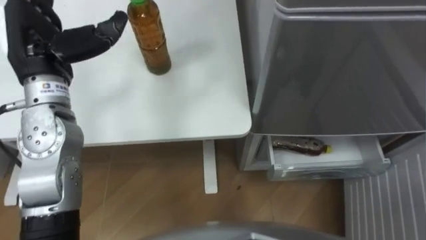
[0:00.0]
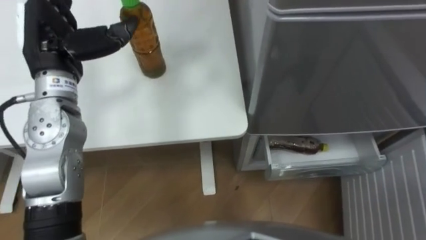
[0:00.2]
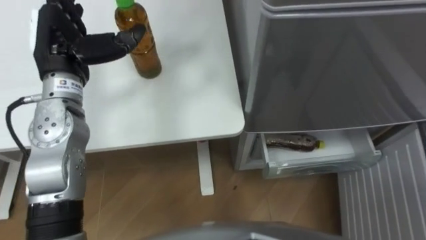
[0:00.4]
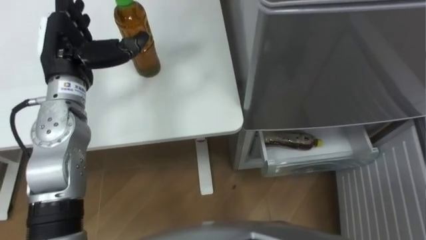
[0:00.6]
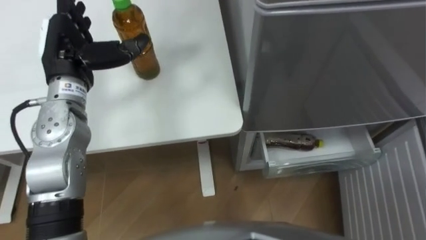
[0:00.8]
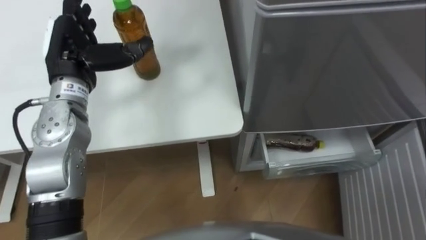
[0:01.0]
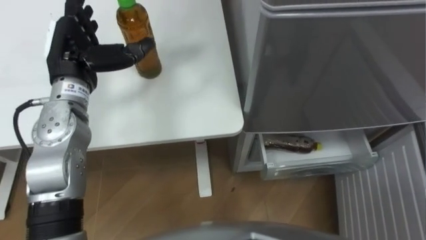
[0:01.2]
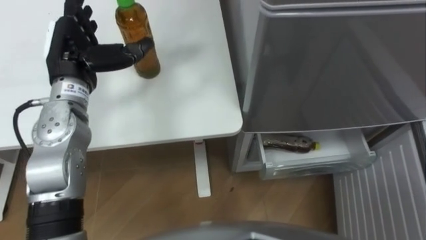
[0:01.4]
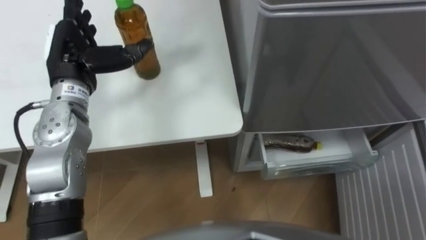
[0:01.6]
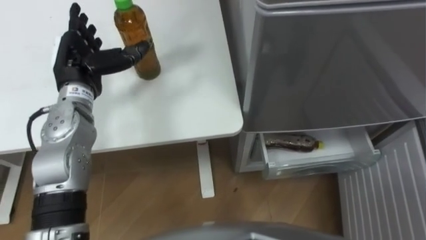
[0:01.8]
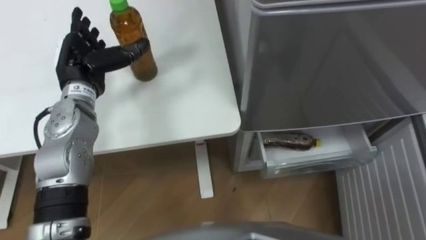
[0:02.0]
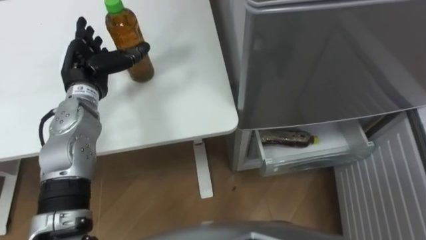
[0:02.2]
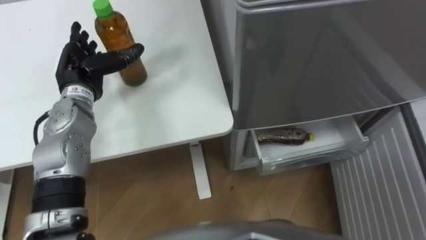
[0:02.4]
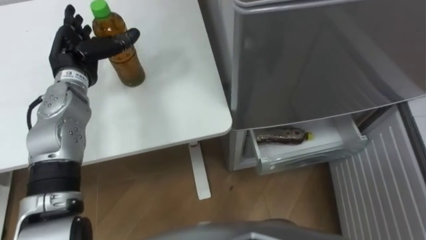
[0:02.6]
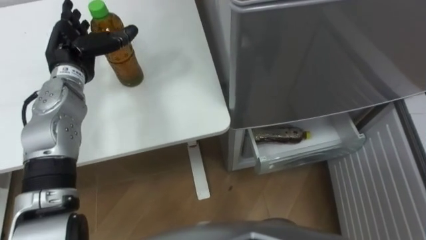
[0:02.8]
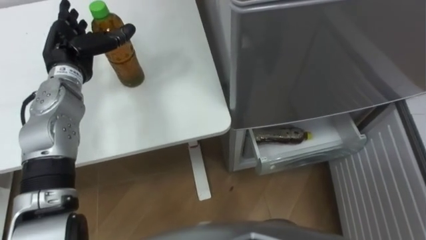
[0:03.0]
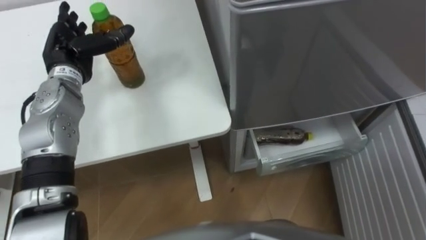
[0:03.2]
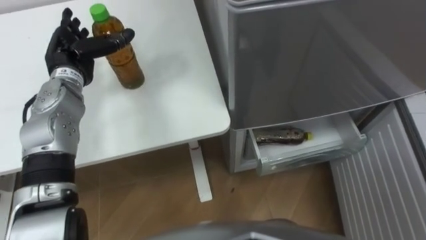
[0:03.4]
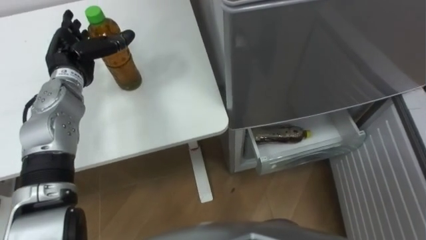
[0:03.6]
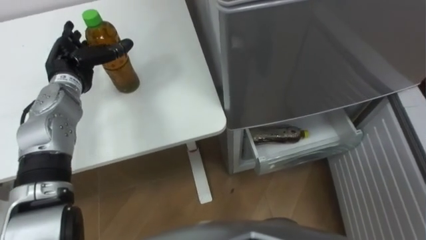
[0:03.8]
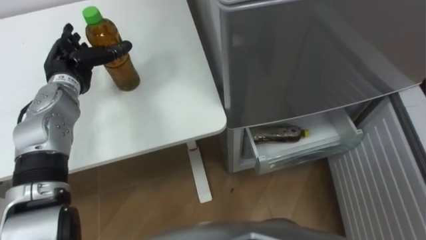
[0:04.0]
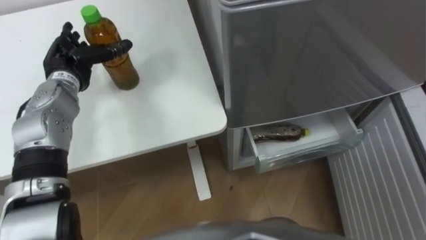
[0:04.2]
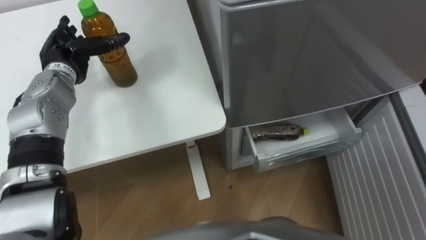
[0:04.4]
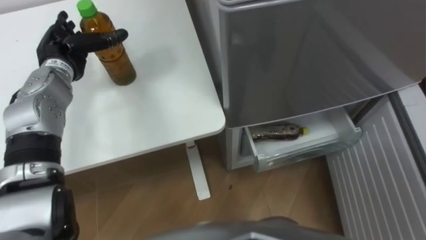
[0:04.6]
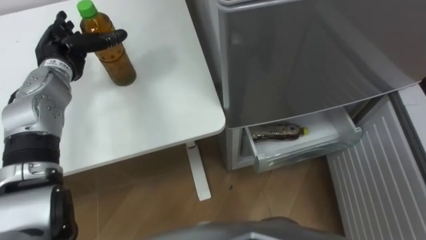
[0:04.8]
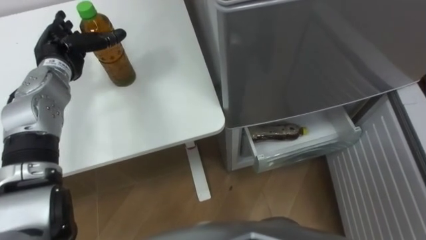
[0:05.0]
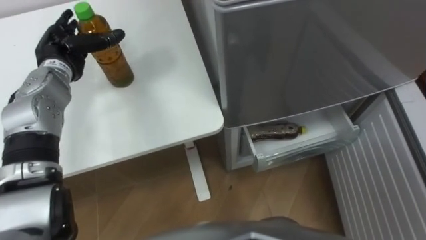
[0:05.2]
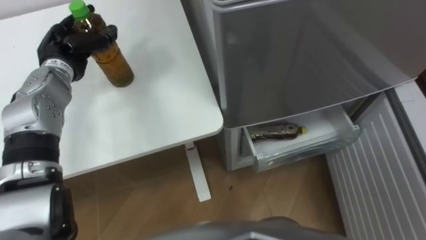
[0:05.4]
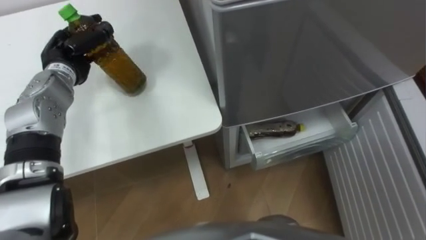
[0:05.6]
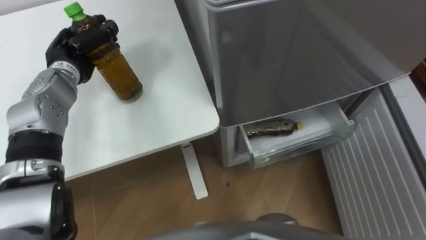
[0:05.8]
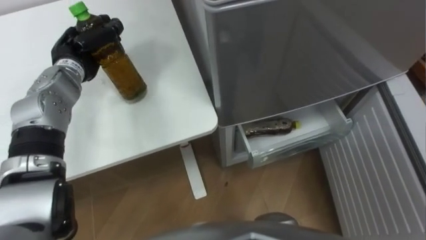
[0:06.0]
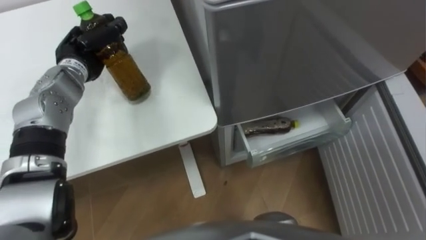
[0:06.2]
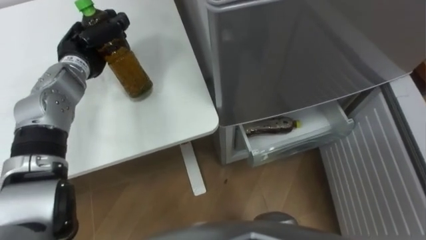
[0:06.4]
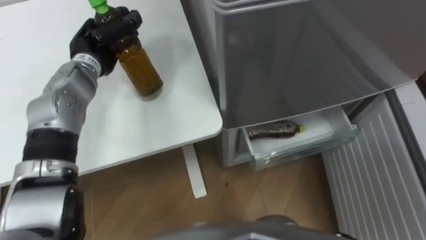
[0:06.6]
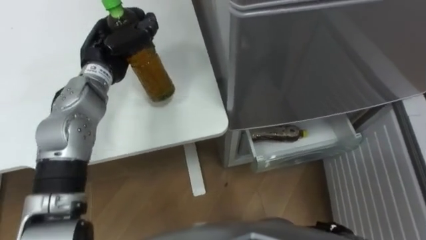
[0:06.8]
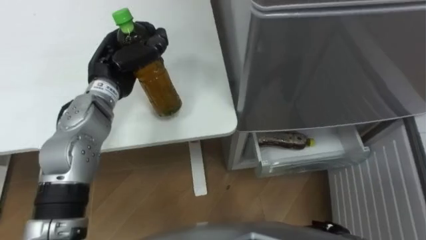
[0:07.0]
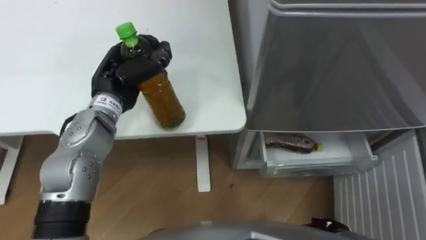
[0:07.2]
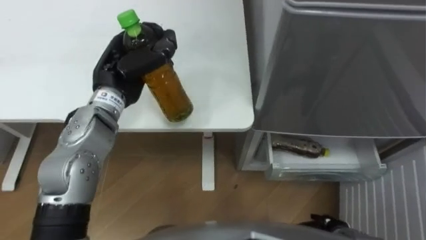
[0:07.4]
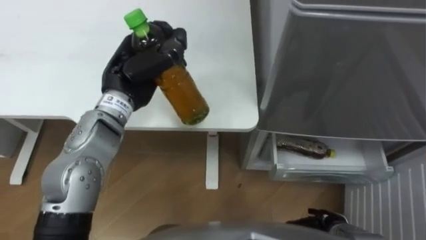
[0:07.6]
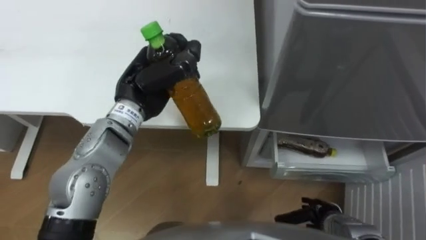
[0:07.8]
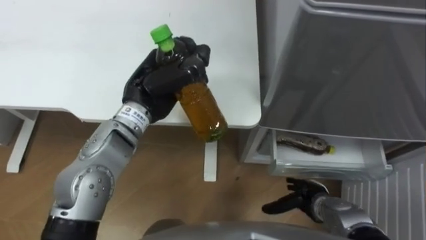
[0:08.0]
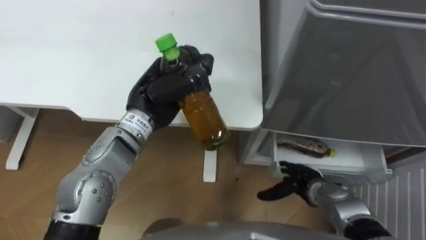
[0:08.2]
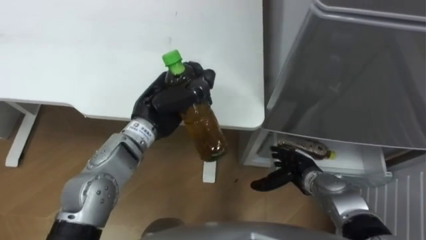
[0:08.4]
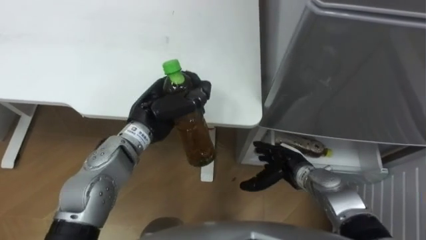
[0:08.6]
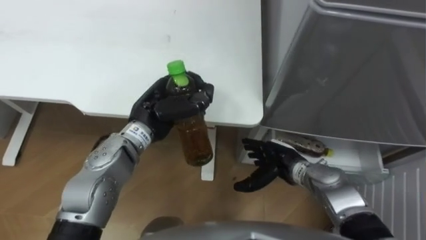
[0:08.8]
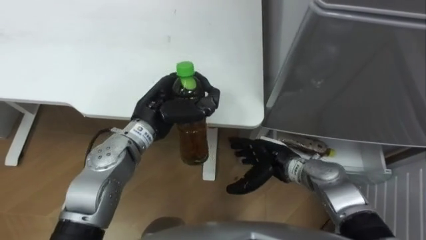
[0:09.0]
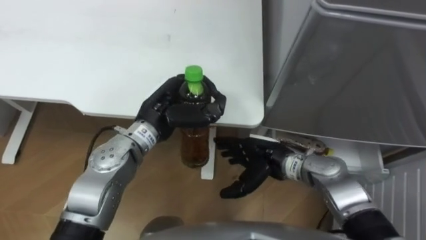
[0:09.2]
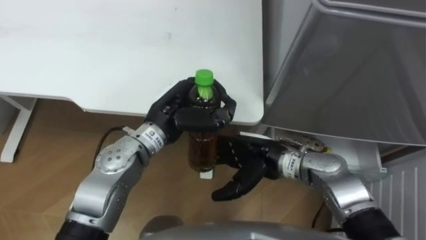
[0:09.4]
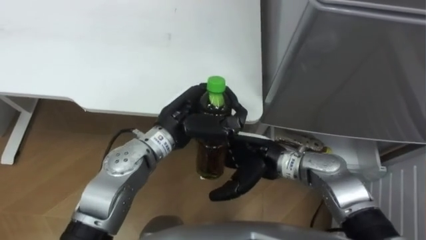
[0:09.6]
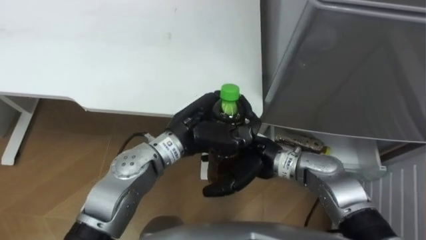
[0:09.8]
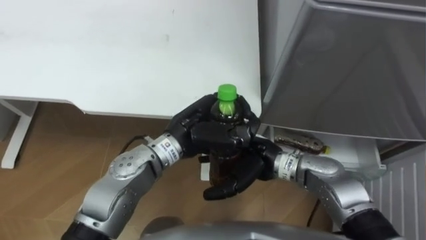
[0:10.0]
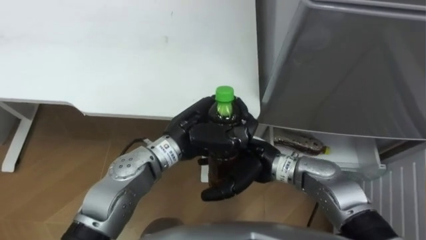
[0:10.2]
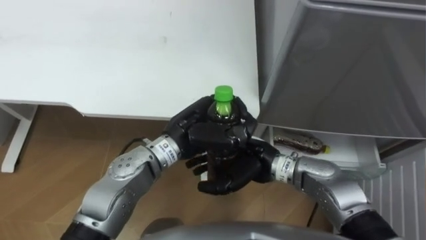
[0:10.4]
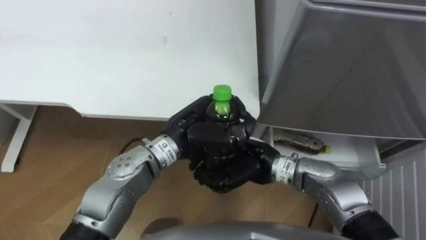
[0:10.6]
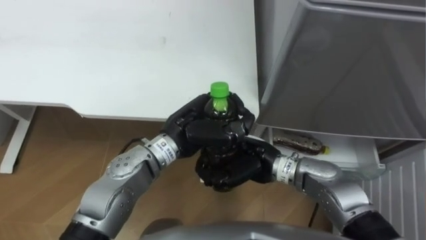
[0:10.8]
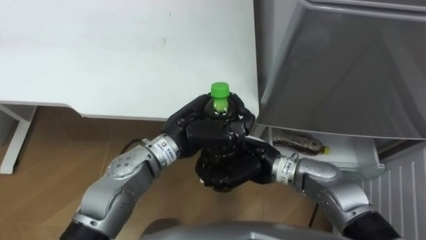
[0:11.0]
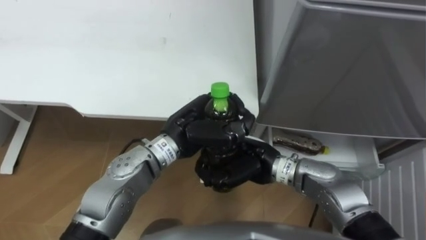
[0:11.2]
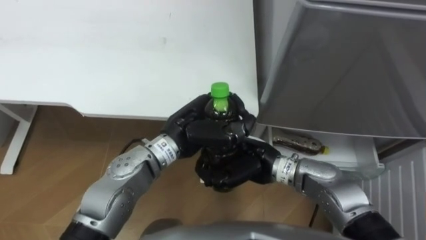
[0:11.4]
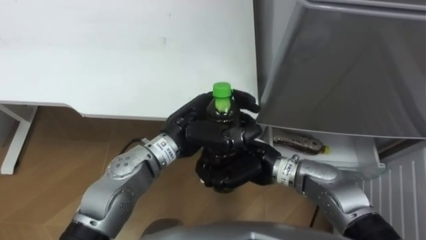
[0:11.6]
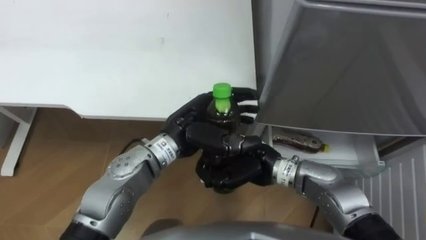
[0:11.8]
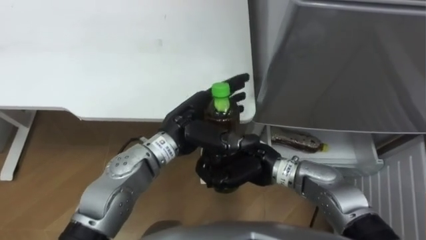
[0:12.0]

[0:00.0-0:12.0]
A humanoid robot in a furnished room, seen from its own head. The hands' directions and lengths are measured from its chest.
Task of the whole recording: Place the drink on the table on the bottom shelf of the refrigerator, then close the drawer and the refrigerator door.
0:00.0 to 0:01.6: The left hand heads downward, covering roughly 5 cm.
0:01.6 to 0:03.0: The left hand shifts by about 5 cm.
0:04.4 to 0:06.0: The left hand closes up.
0:06.0 to 0:07.6: The left hand travels to the right, backward and upward by approximately 15 cm.
0:07.6 to 0:09.0: The left hand heads downward, covering some 5 cm, while the right hand shifts some 20 cm forward, to the left and upward.
0:09.0 to 0:10.4: The right hand travels to the left and upward by approximately 10 cm, while the left hand travels to the right by roughly 5 cm.
0:10.4 to 0:12.0: The left hand opens up. Meanwhile the right hand closes up.

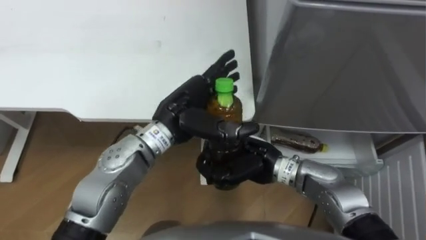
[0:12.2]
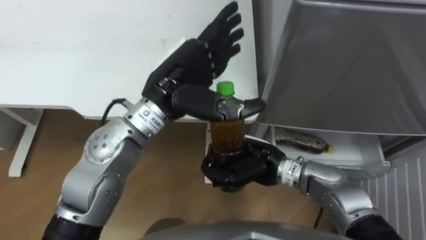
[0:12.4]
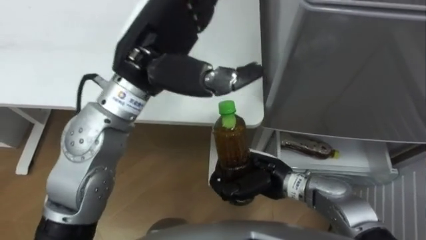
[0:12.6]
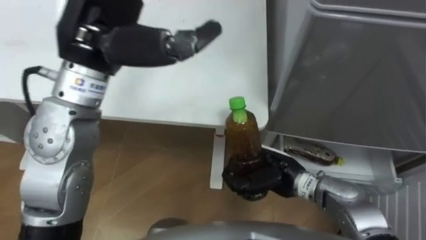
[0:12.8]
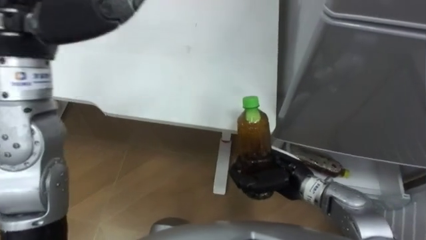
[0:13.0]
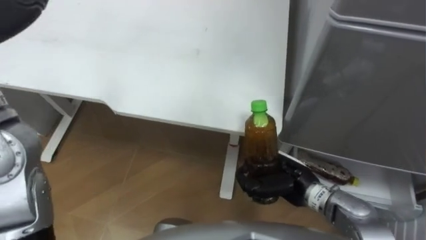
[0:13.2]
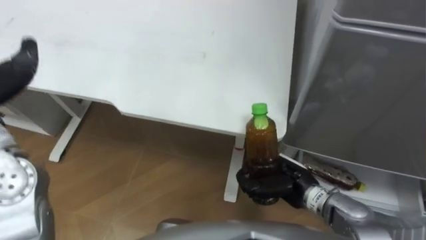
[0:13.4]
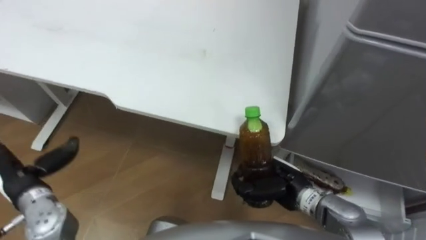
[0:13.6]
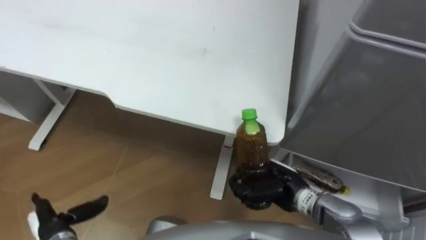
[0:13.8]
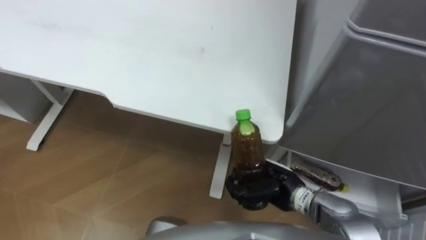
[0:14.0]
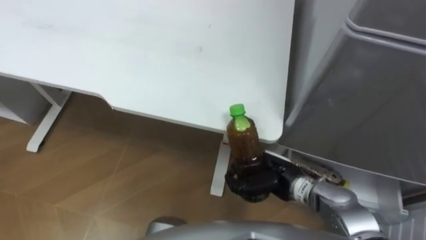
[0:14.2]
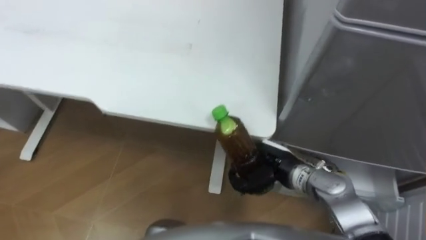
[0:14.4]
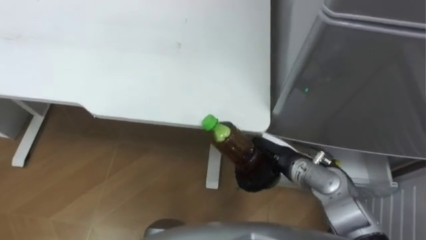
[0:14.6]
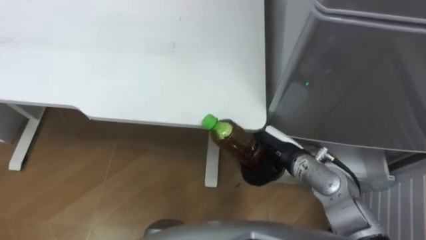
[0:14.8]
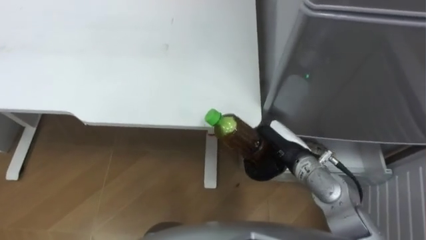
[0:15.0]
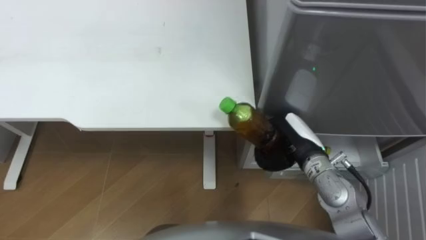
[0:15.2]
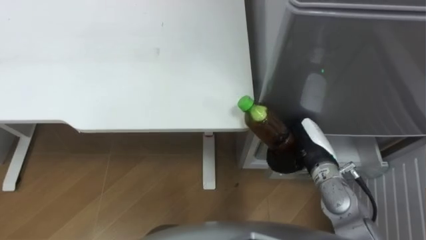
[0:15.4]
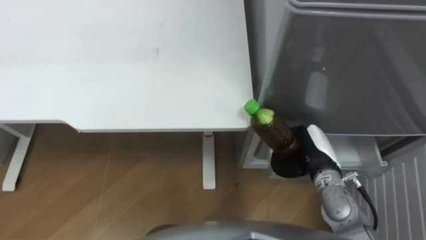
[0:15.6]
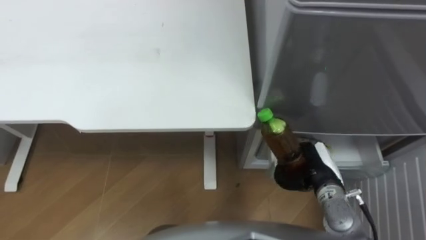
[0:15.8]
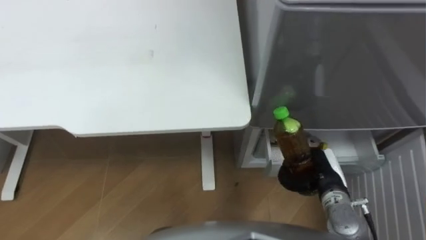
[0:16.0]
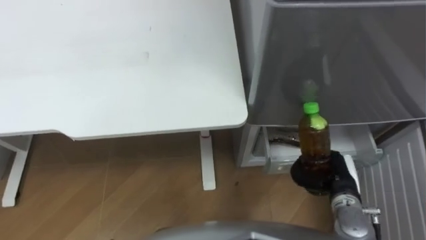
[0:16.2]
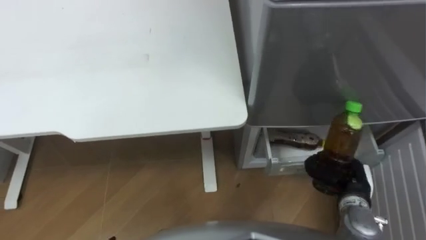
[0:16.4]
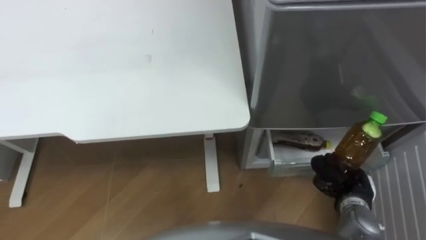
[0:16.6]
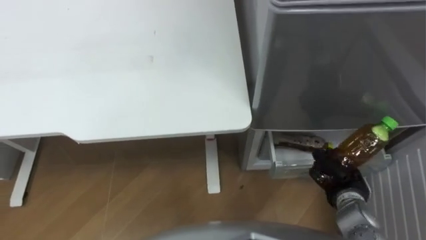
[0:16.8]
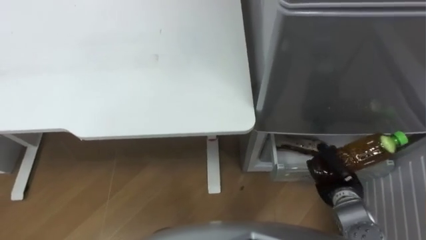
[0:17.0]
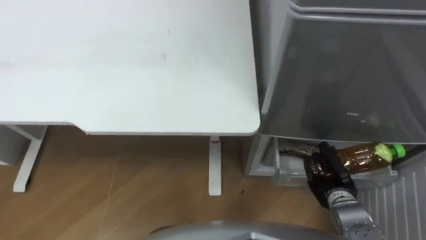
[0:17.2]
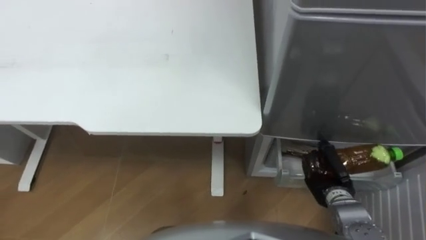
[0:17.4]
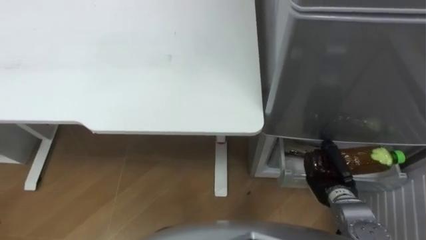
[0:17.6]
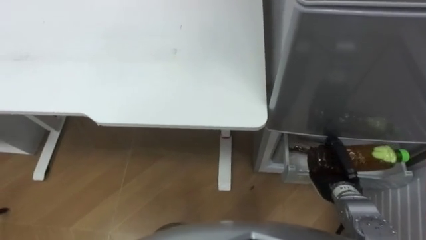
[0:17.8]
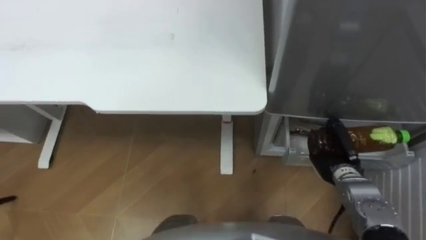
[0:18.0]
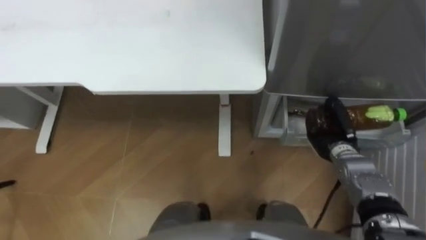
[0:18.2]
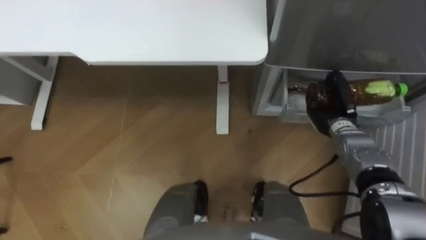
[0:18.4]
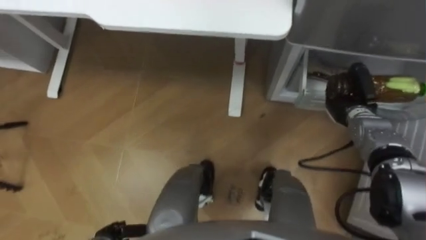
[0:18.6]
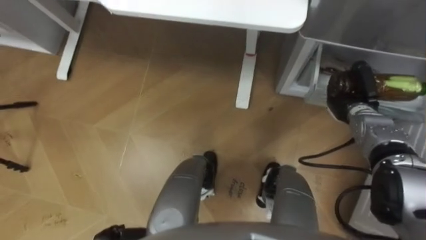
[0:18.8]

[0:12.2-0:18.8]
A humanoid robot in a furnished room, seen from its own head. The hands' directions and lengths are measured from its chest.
Task of the whole recording: Place the drink on the table on the bottom shelf of the refrigerator, then close the drawer and the refrigerator door.
0:12.2 to 0:13.8: The right hand heads to the right and downward, covering some 10 cm.
0:13.8 to 0:15.4: The right hand shifts roughly 10 cm to the right and forward.
0:15.4 to 0:17.2: The right hand goes roughly 15 cm downward, backward and to the right.
0:17.2 to 0:18.8: The right hand shifts about 15 cm forward.
